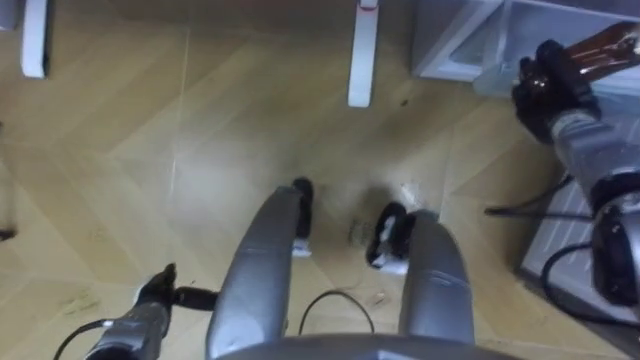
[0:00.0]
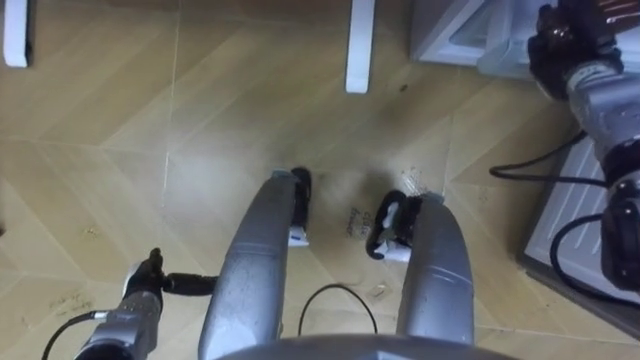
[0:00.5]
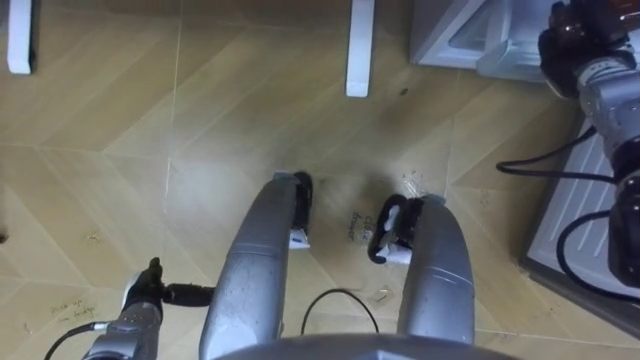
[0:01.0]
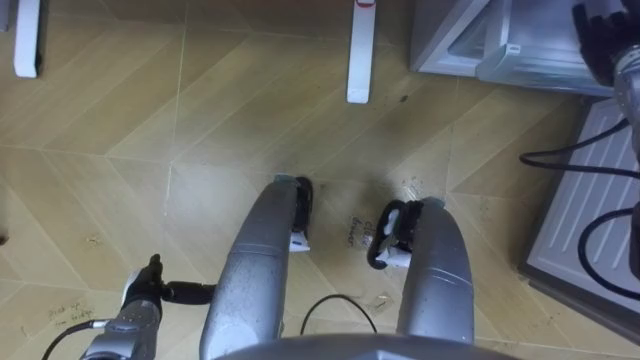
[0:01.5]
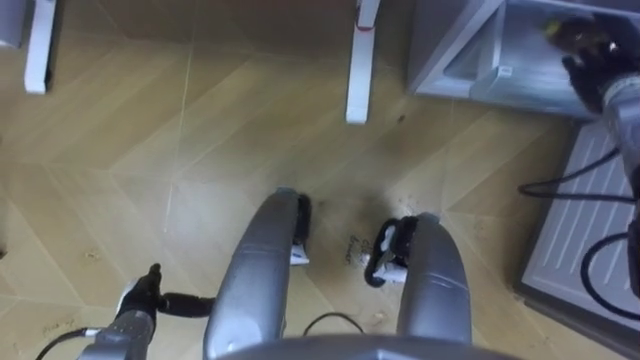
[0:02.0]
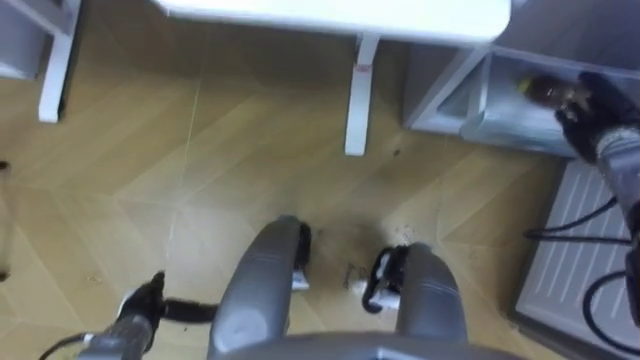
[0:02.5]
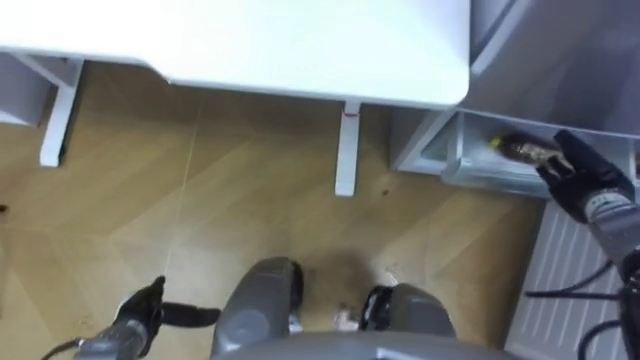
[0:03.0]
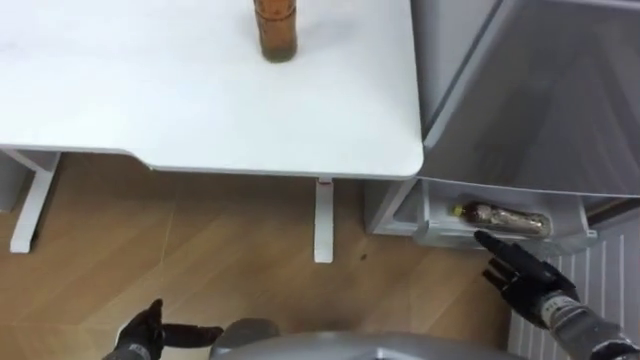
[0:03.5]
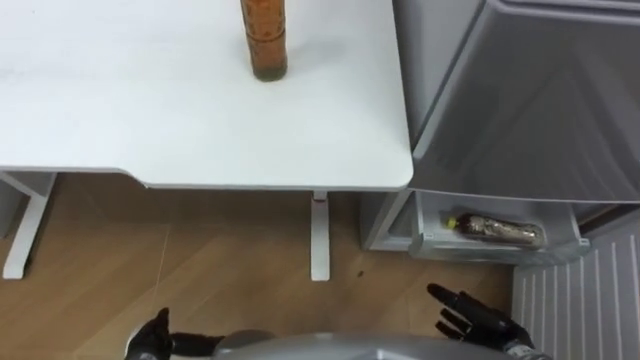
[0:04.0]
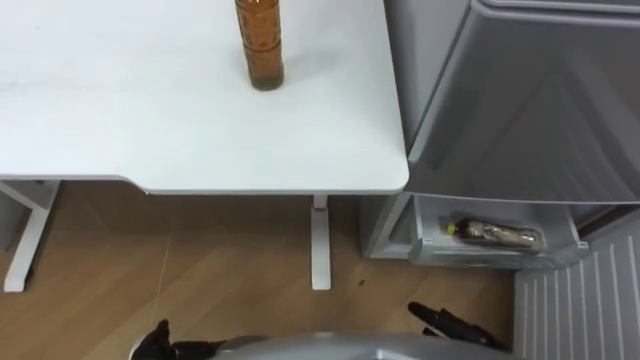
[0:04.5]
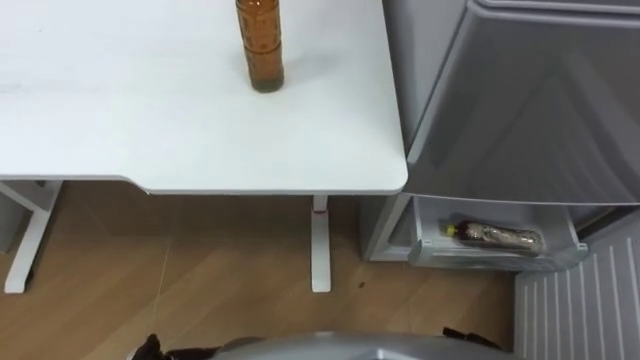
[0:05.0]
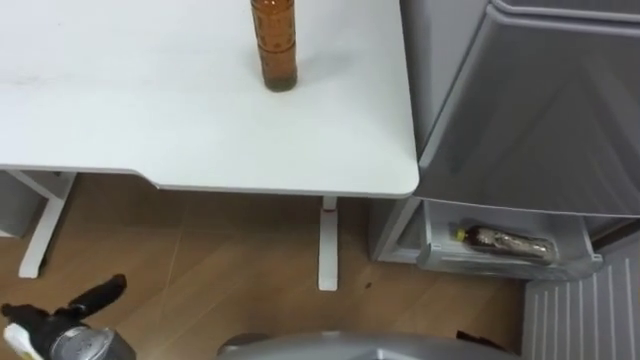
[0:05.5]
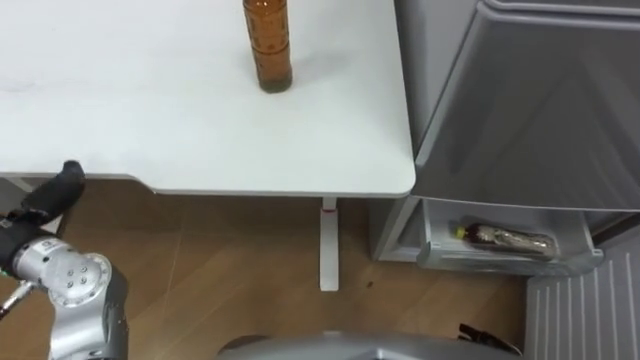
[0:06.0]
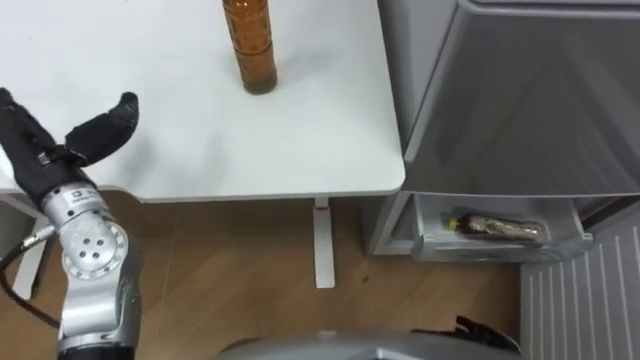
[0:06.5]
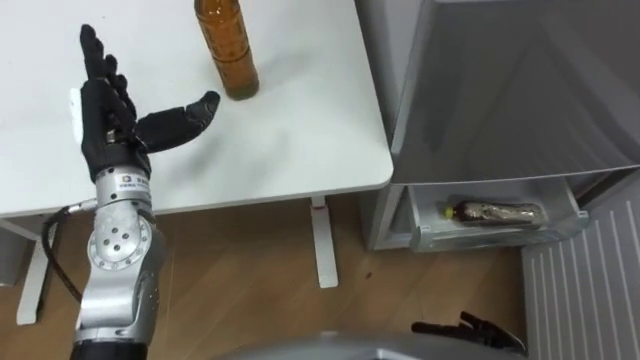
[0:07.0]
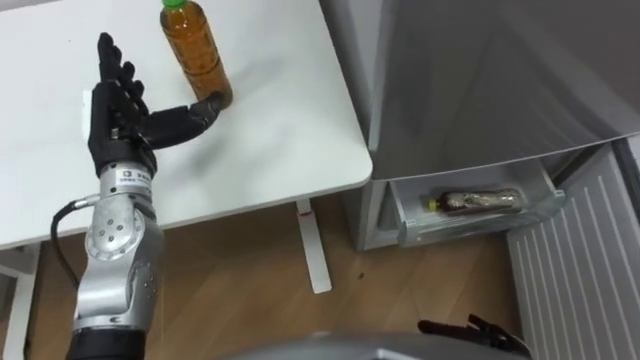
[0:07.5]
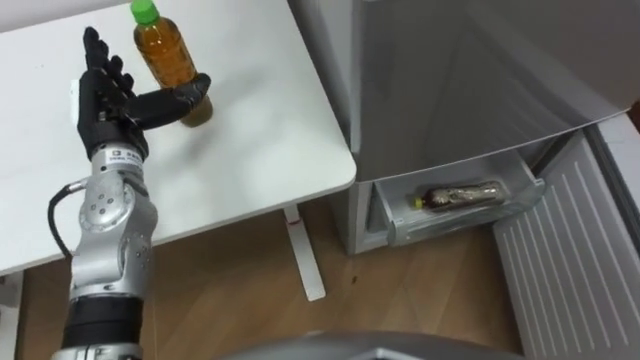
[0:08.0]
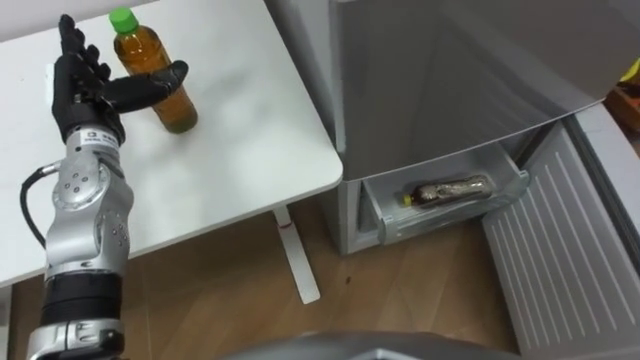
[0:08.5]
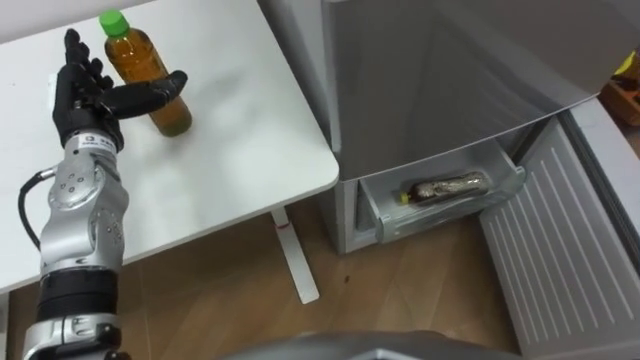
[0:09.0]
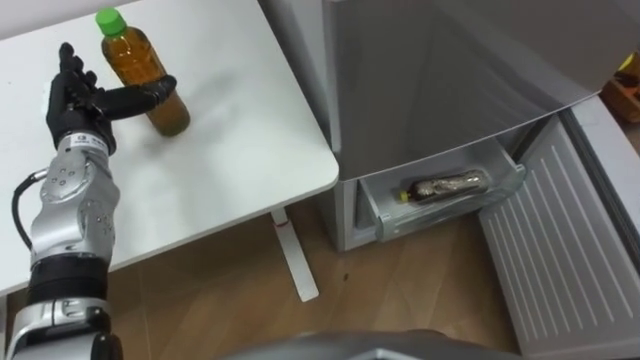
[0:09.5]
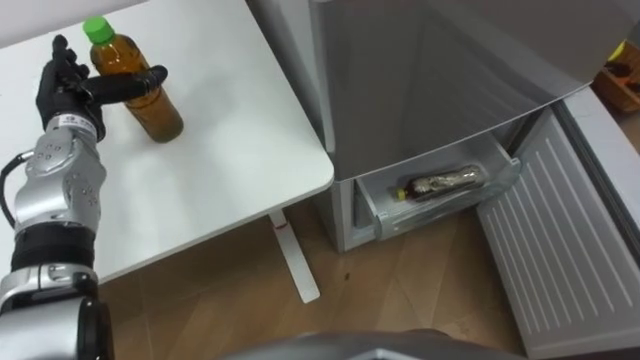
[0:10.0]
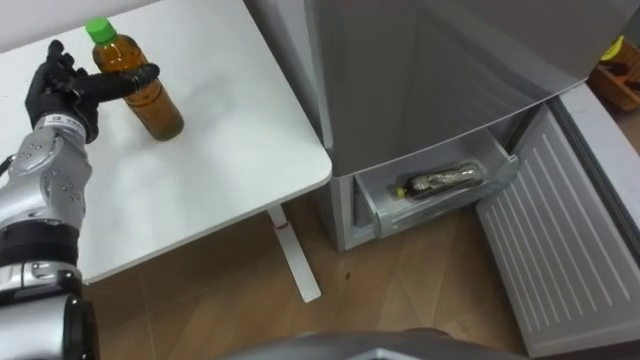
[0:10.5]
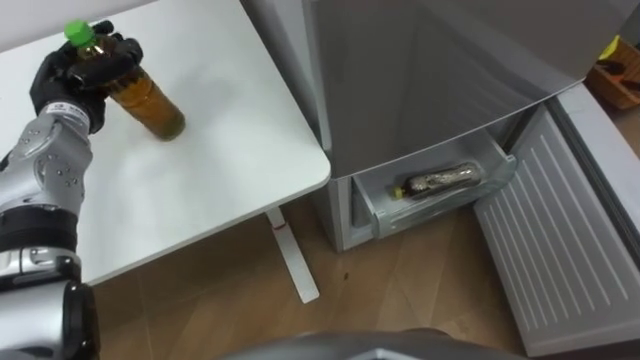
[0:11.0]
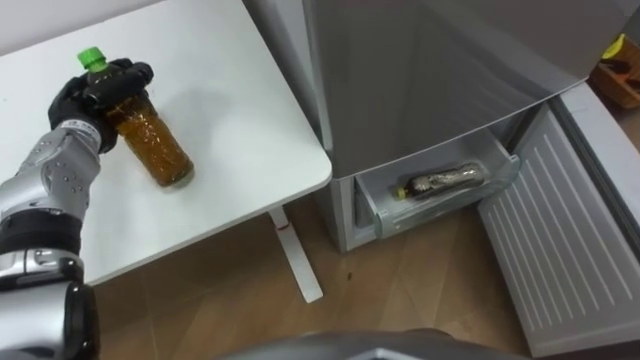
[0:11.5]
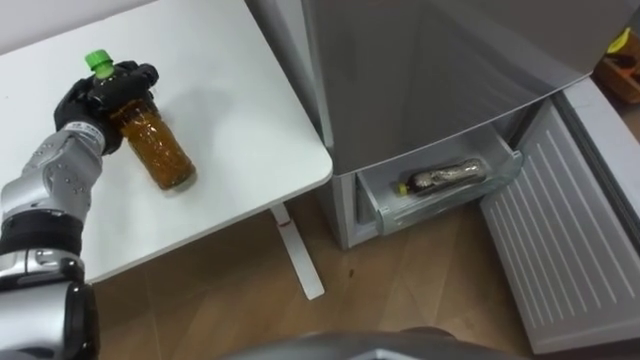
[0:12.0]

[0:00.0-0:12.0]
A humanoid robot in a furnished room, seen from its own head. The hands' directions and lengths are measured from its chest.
Task of the whole recording: Place the drink on the table on the bottom shelf of the refrigerator, then close the drawer and the refrigerator door.
0:00.0 to 0:02.0: The right hand heads upward, covering about 5 cm, and opens.
0:02.0 to 0:04.0: The left hand is displaced backward by approximately 5 cm. The right hand moves backward and downward, about 40 cm.
0:06.0 to 0:08.0: The left hand moves forward and to the right, approximately 15 cm.
0:08.0 to 0:10.0: The left hand is displaced to the left by approximately 5 cm.
0:10.0 to 0:12.0: The left hand closes its fingers.

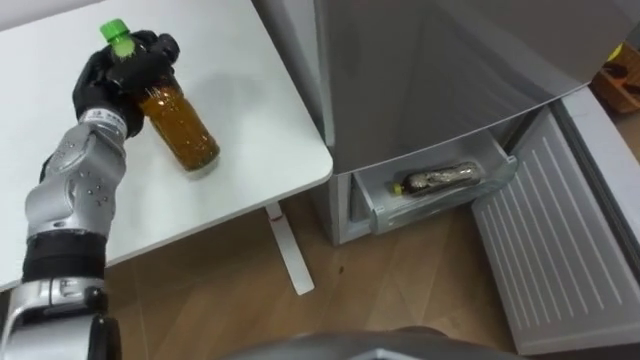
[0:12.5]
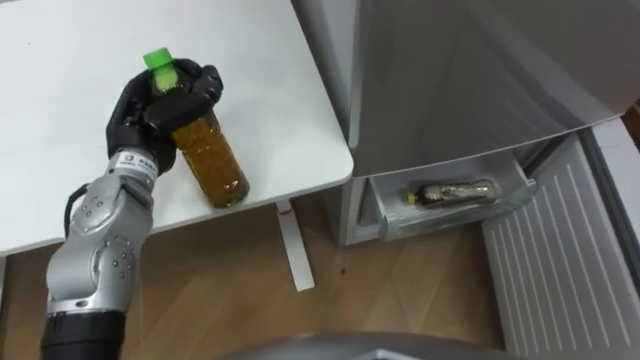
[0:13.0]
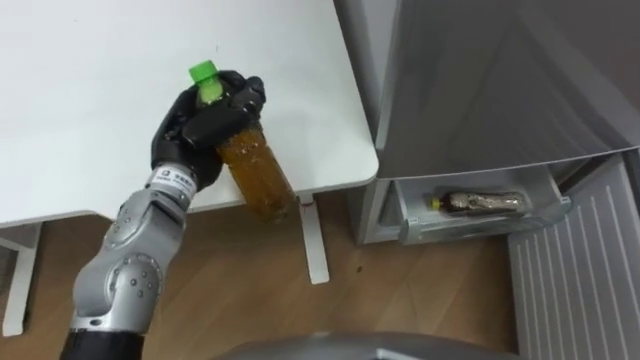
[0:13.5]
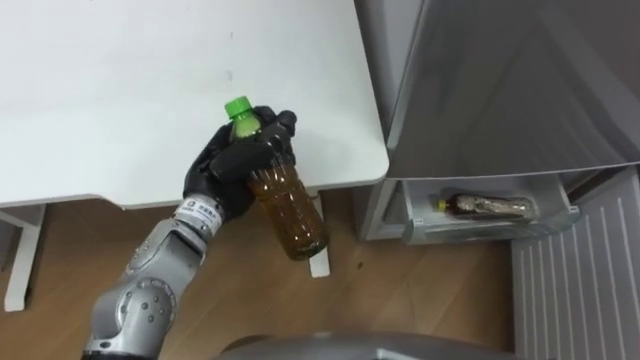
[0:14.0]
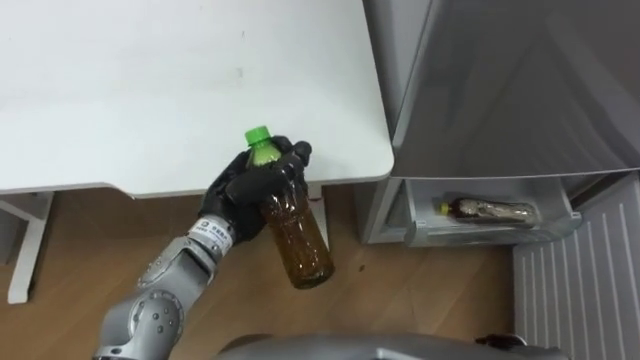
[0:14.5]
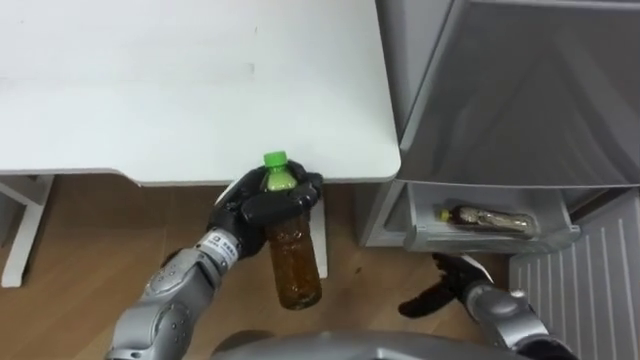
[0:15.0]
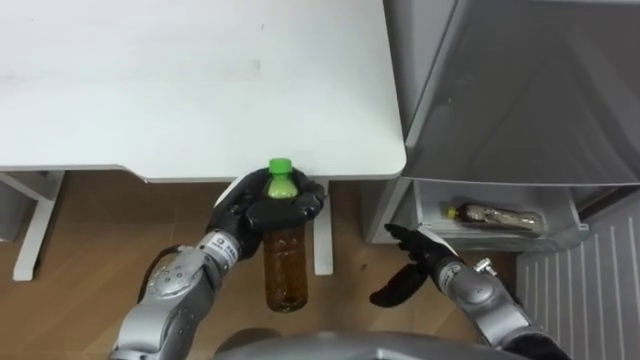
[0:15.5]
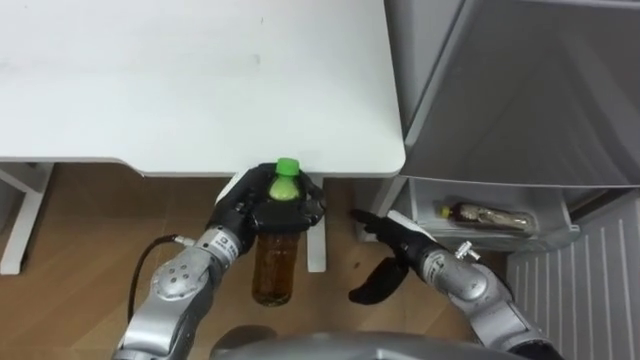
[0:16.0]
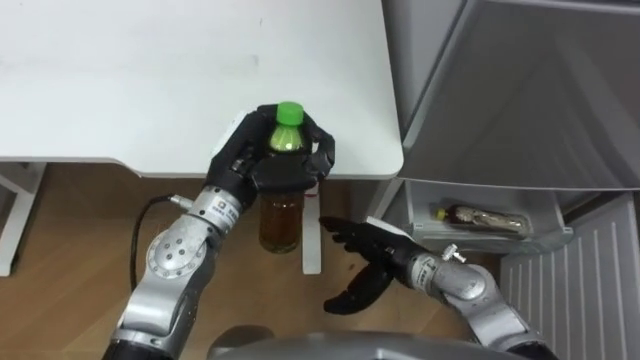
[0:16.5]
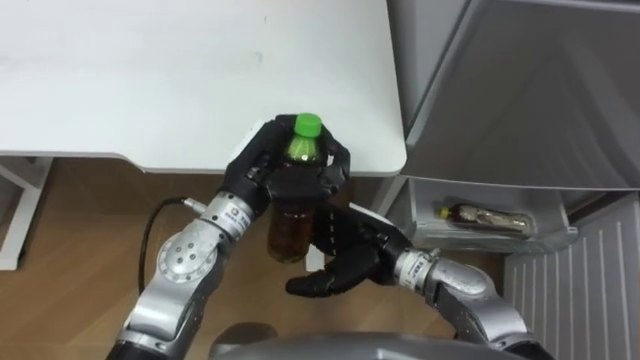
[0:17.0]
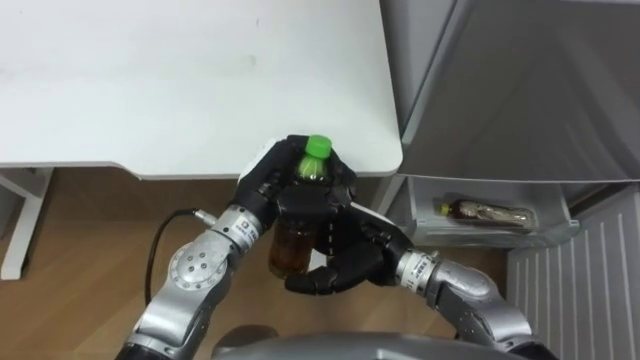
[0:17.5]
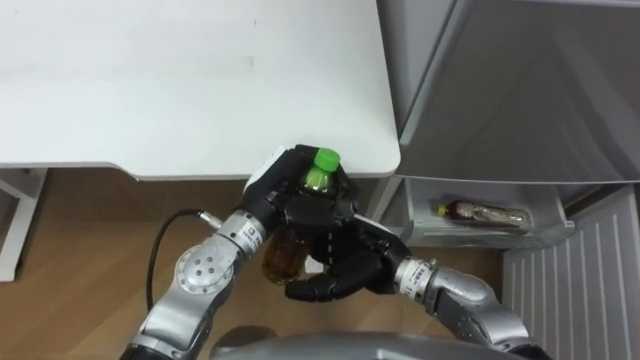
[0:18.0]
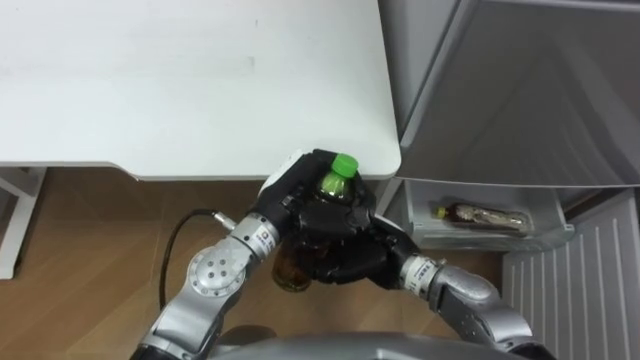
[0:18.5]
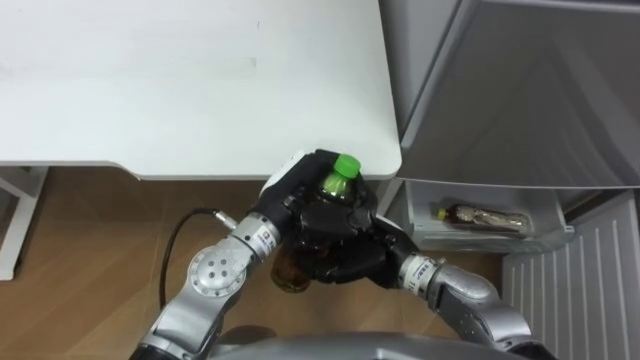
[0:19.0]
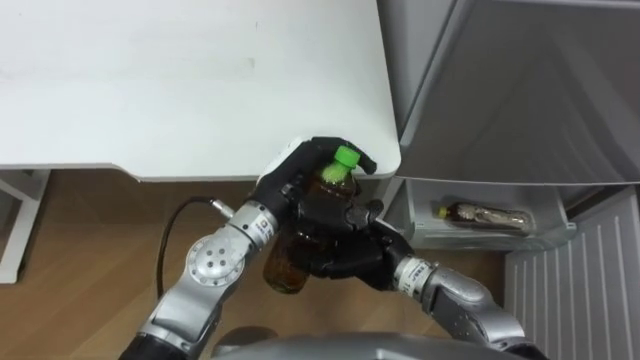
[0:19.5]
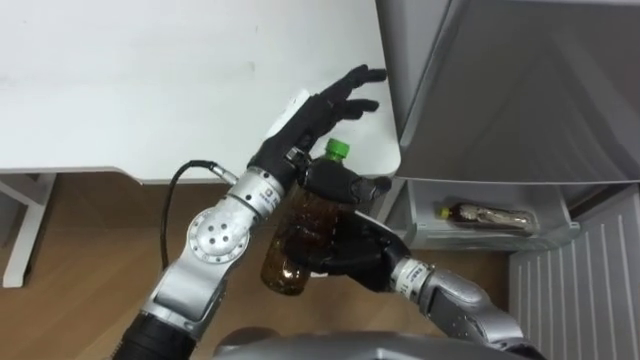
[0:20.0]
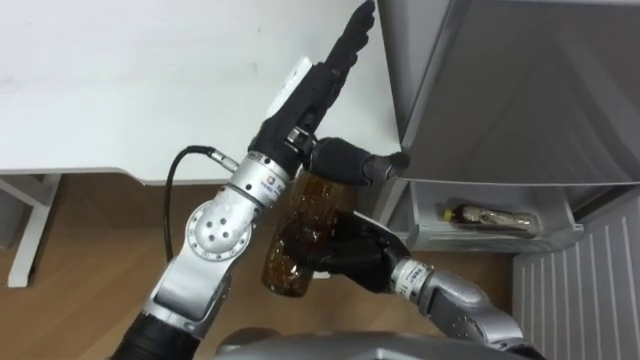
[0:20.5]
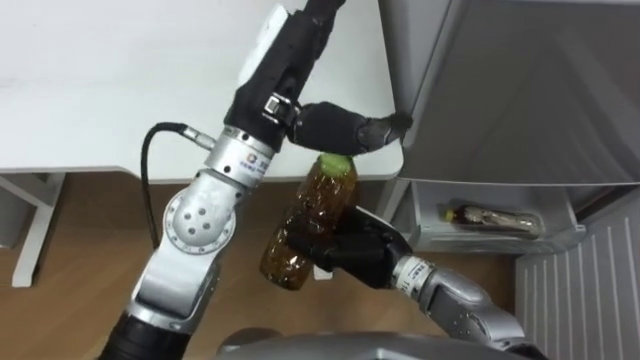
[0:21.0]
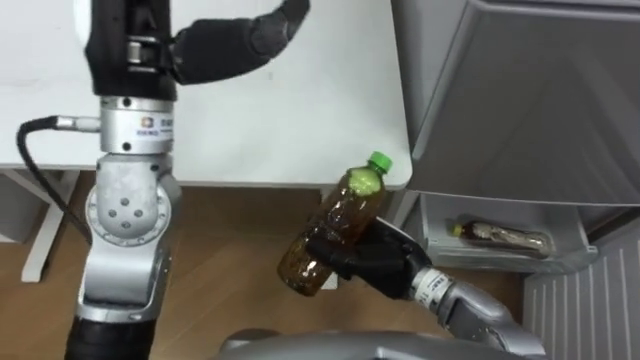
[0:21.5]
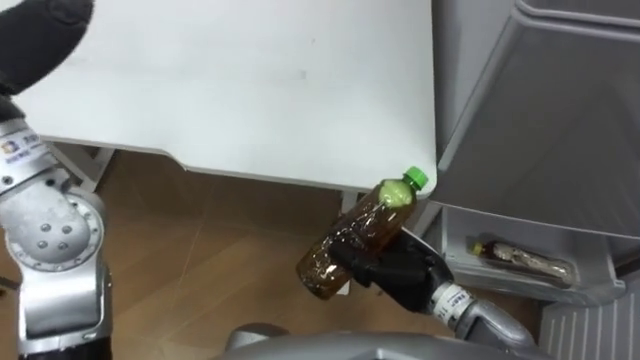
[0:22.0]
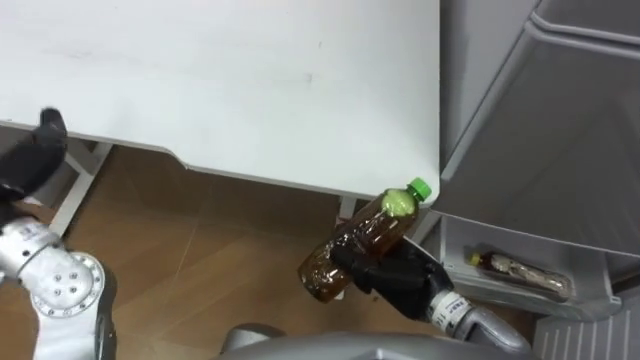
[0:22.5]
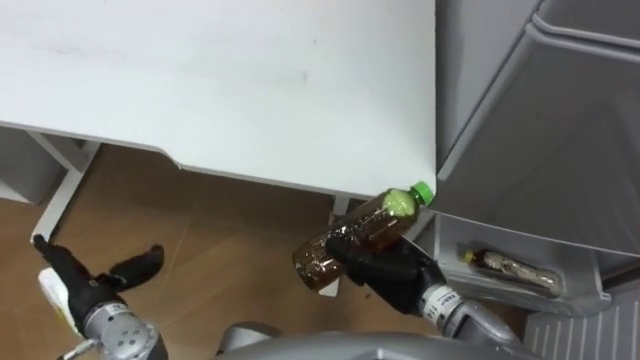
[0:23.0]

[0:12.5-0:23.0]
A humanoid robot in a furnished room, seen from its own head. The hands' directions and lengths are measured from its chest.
Task of the whole recording: Place the drink on the table on the bottom shelf of the refrigerator, then close the drawer and the refrigerator door.
0:12.5 to 0:14.5: The left hand shifts approximately 20 cm to the right and backward.
0:14.5 to 0:16.5: The left hand ends up roughly 5 cm from where it was.
0:16.5 to 0:19.0: The left hand shifts some 5 cm to the right; the right hand closes up.
0:19.0 to 0:21.0: The left hand is displaced upward by about 15 cm, and opens up.
0:21.0 to 0:23.0: The right hand travels to the right by about 5 cm.
